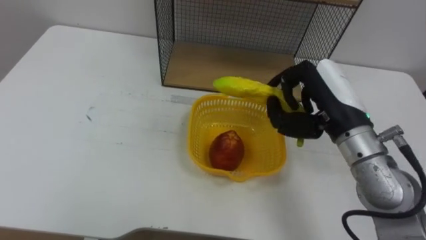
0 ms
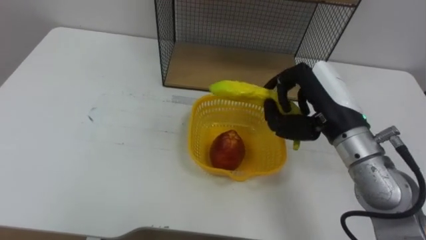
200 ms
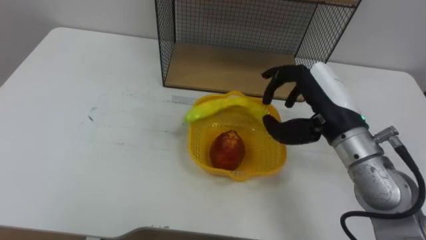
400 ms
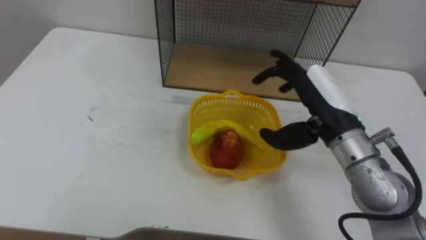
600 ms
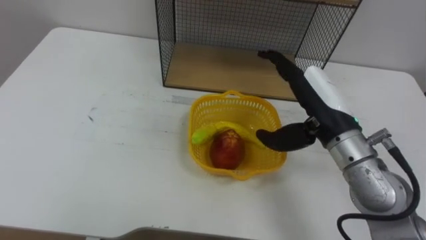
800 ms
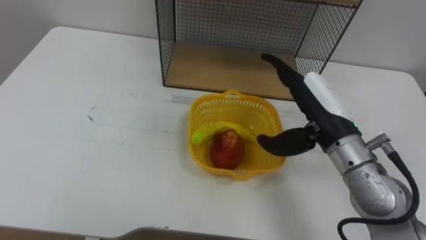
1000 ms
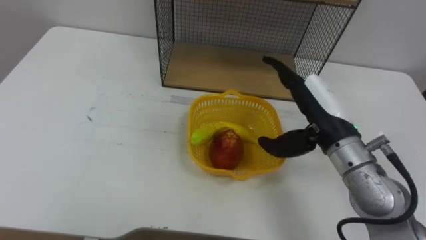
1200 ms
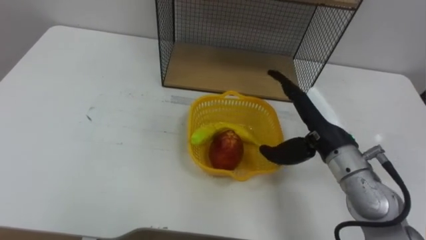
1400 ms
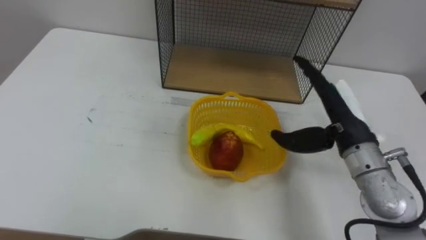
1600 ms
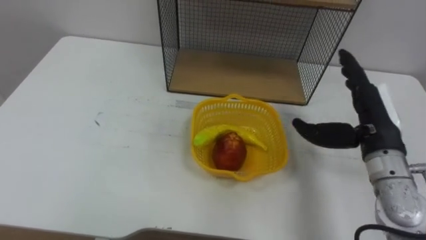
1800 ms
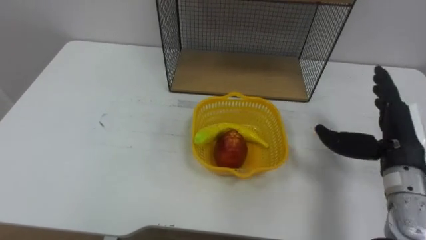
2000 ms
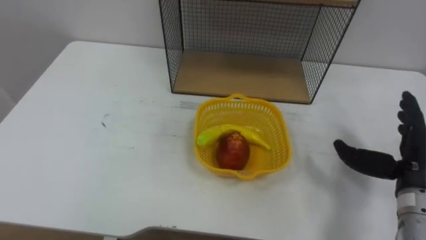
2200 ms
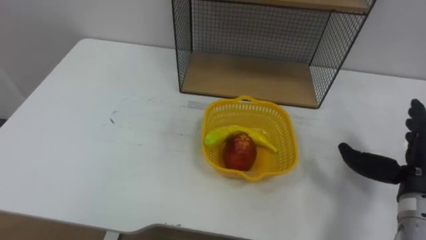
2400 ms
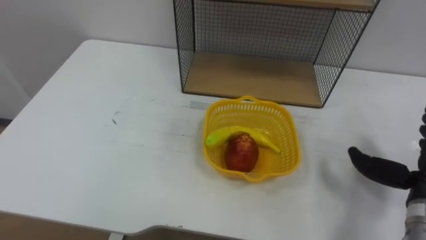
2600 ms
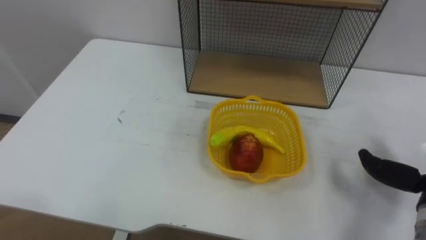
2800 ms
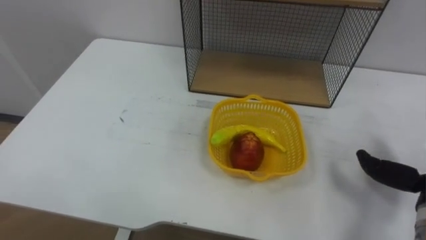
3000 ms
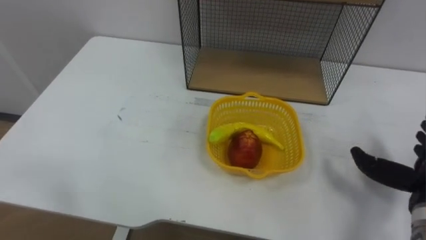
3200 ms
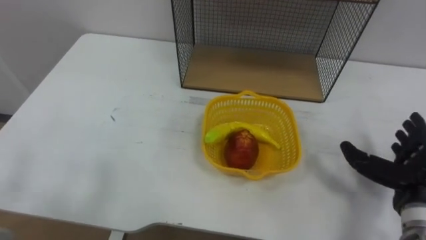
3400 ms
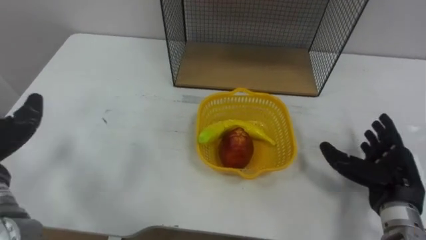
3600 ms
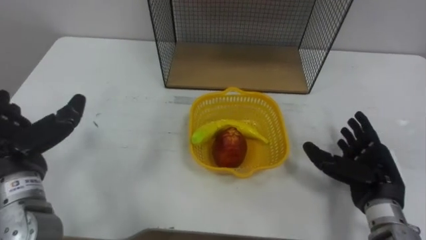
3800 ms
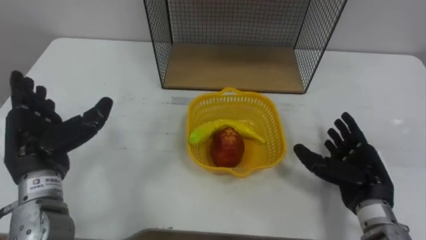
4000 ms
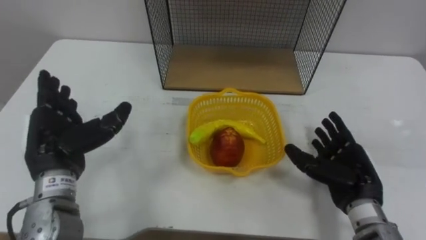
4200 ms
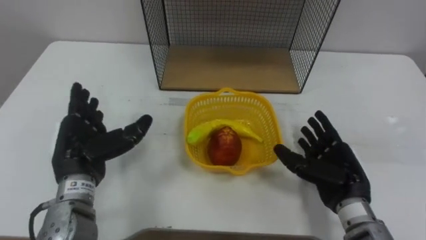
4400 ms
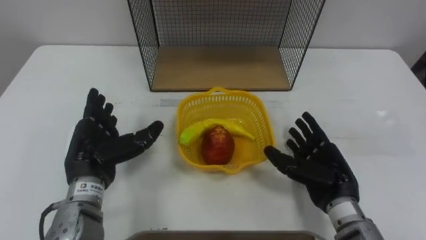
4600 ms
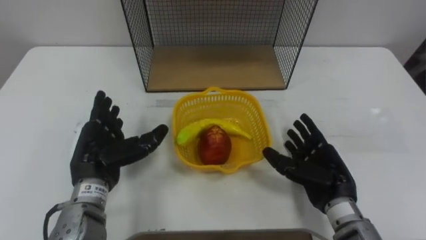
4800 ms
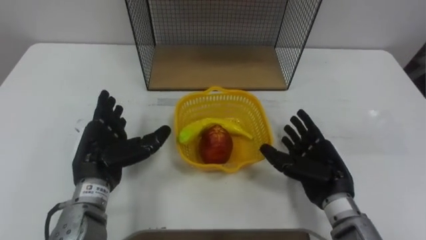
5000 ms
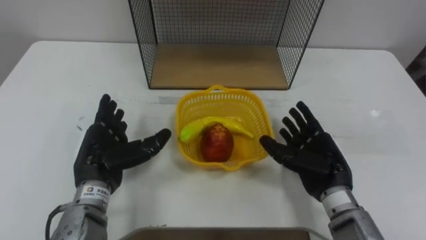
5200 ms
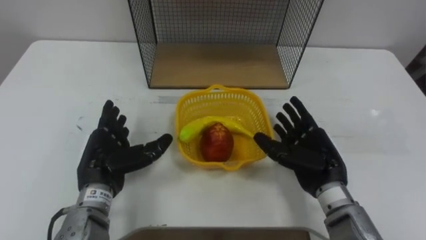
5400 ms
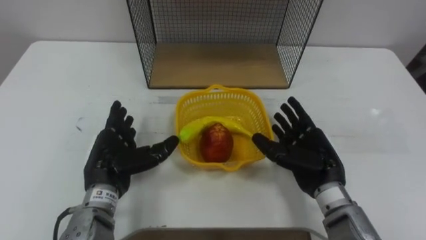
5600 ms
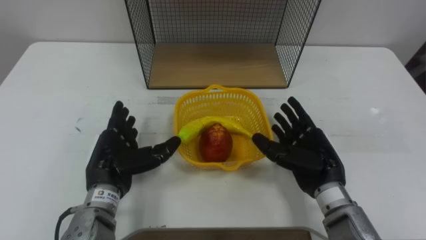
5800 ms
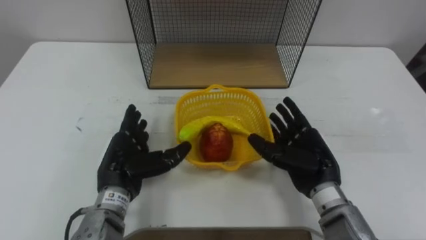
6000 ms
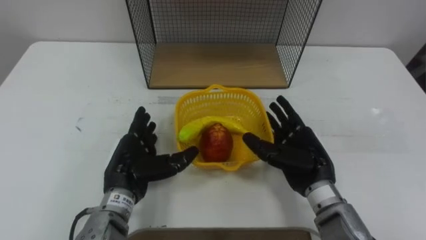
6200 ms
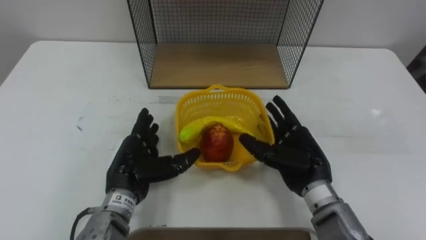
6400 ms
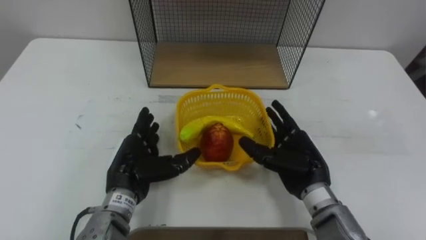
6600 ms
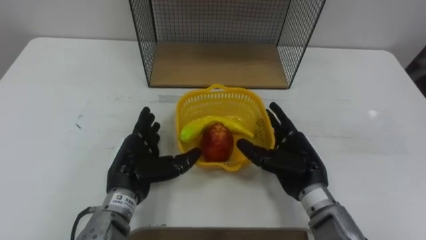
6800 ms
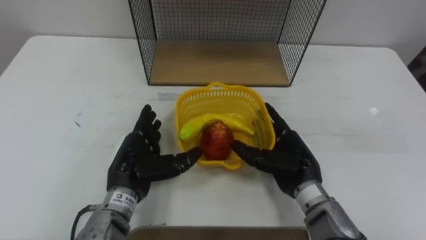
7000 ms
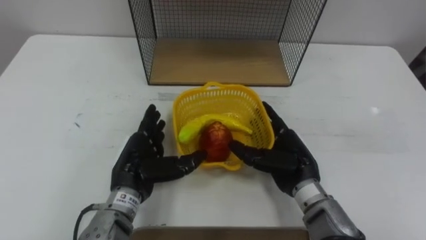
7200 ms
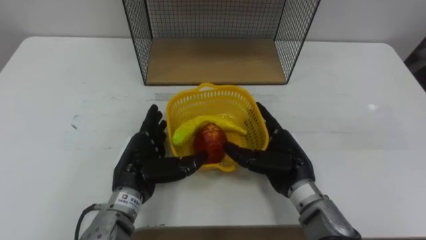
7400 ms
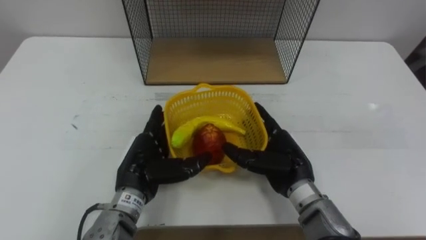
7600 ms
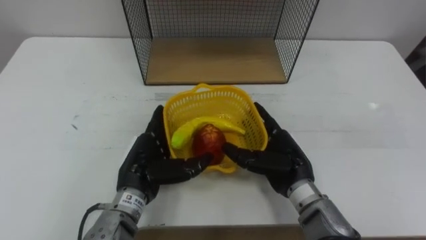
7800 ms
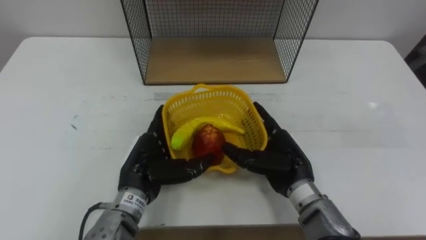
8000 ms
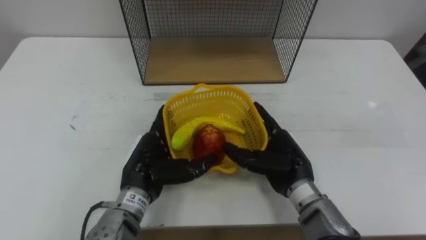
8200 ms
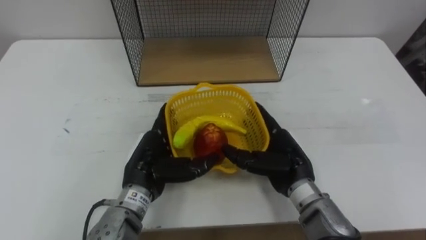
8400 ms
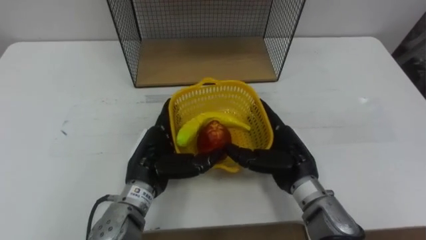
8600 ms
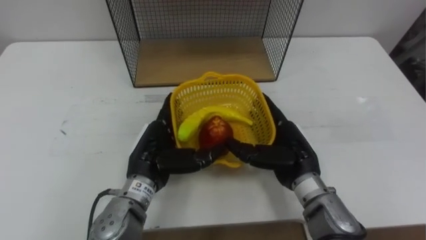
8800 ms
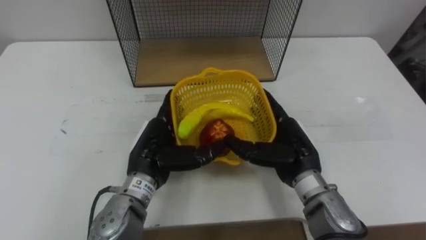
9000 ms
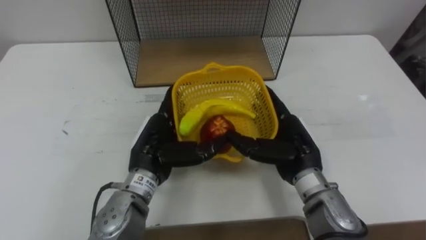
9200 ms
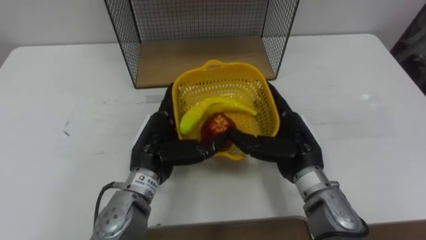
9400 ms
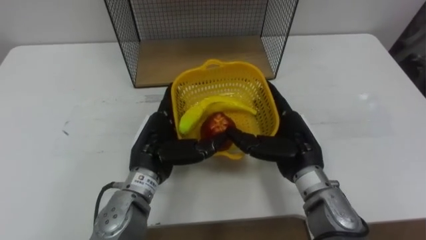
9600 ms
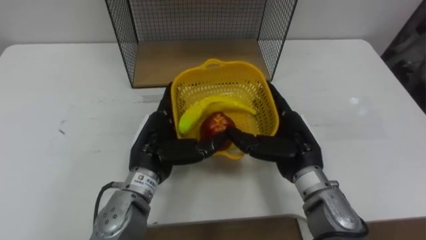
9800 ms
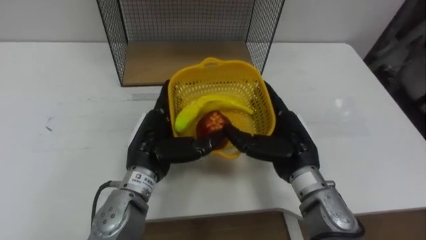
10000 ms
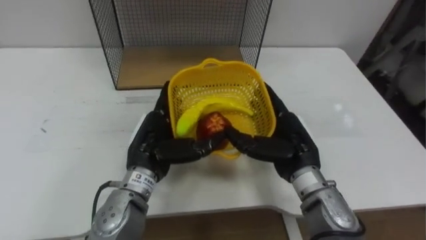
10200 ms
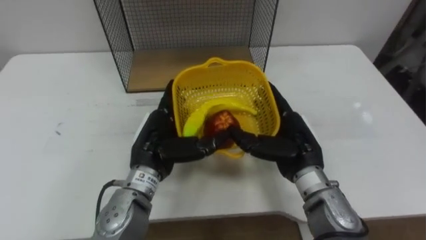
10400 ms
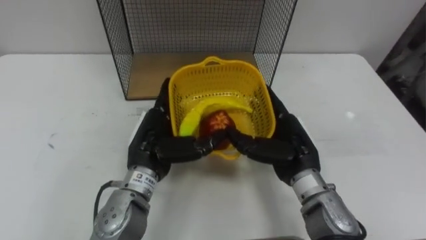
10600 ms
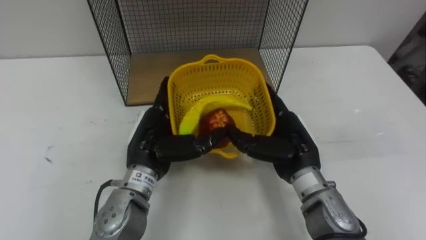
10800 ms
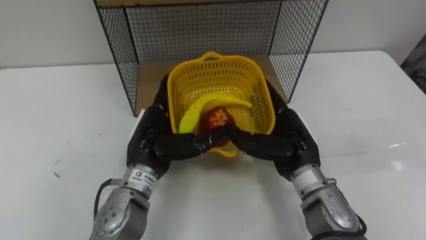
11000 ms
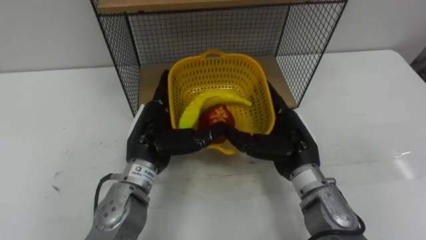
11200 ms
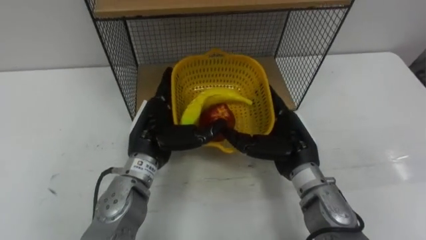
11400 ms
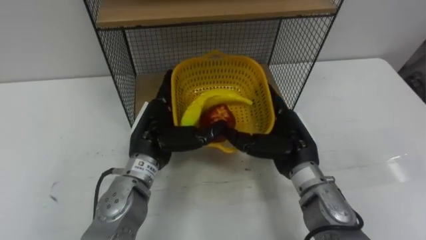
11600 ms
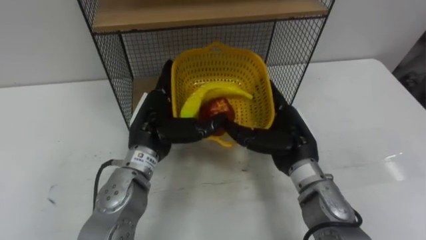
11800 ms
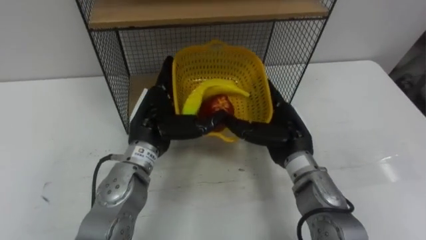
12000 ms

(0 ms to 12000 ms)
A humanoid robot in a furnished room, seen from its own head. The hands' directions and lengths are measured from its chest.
Task of the whole recording: Put the fruit on the table into the basket, then place the basket on the shelf.
0 ms - 1600 ms: The right hand opens.
4400 ms - 6000 ms: The right hand changes place by about 5 cm. Meanwhile the left hand goes roughly 5 cm to the right.

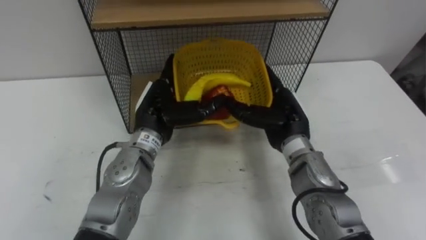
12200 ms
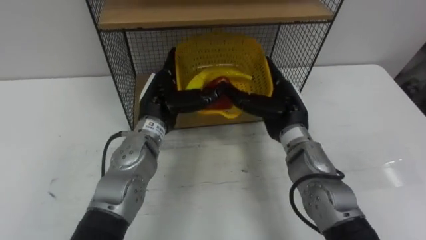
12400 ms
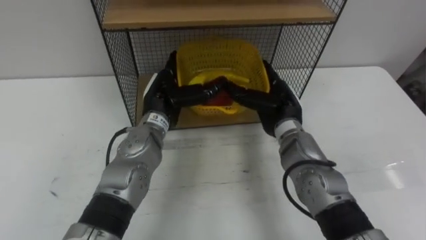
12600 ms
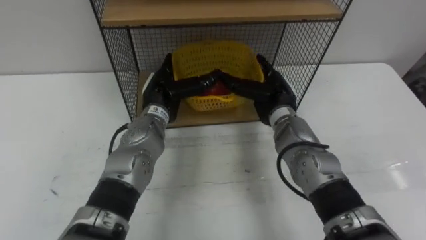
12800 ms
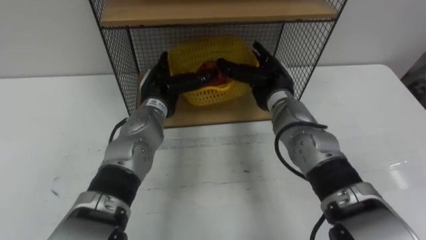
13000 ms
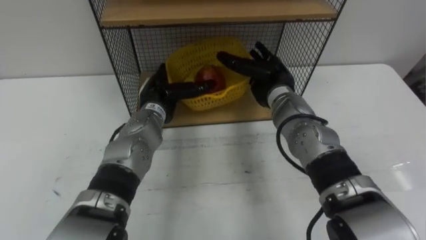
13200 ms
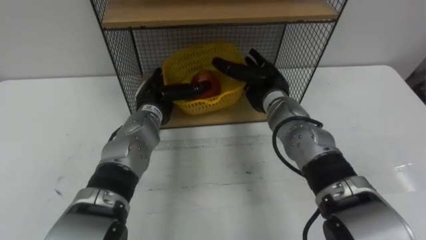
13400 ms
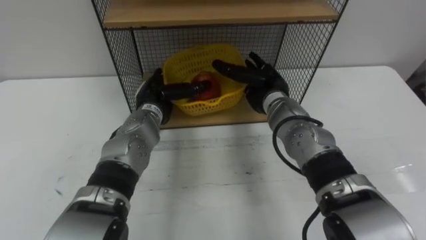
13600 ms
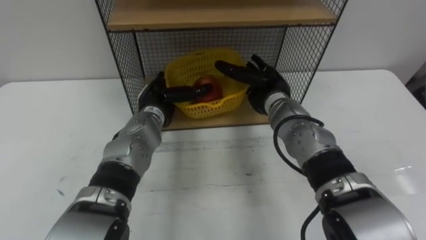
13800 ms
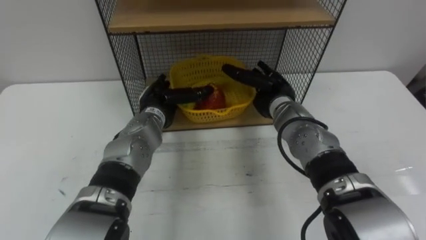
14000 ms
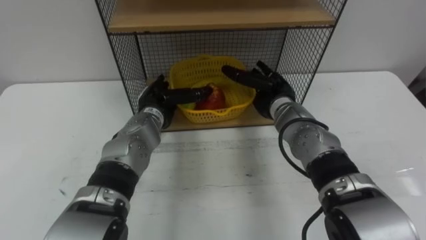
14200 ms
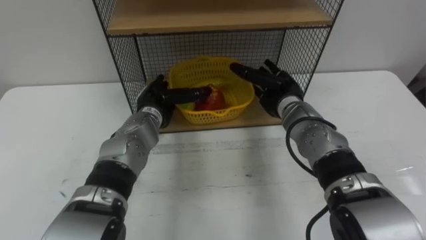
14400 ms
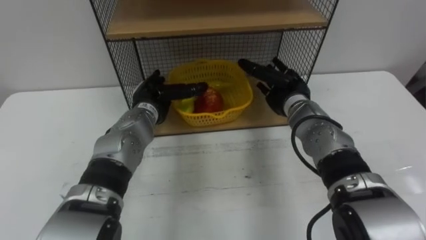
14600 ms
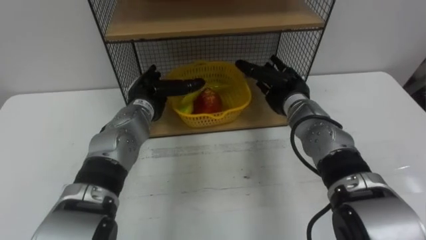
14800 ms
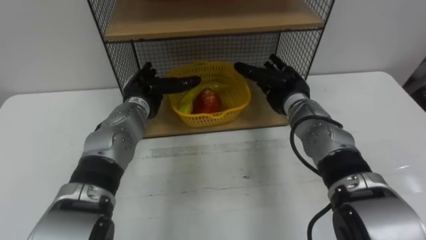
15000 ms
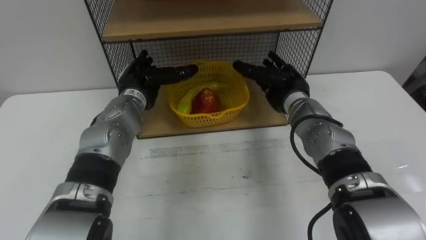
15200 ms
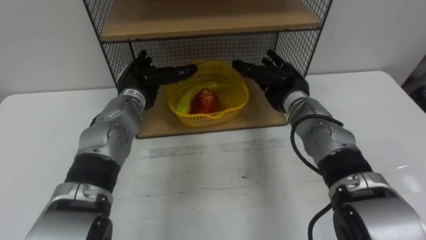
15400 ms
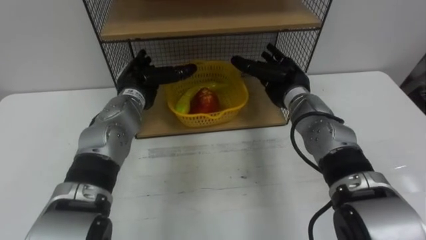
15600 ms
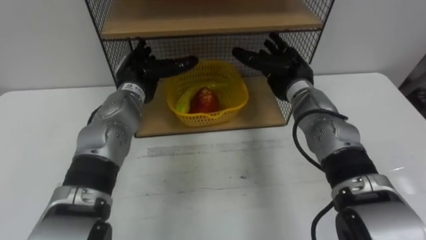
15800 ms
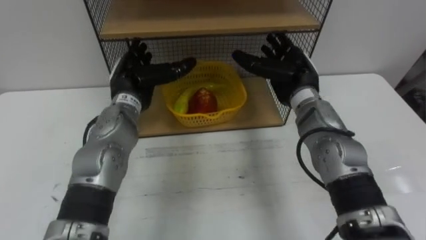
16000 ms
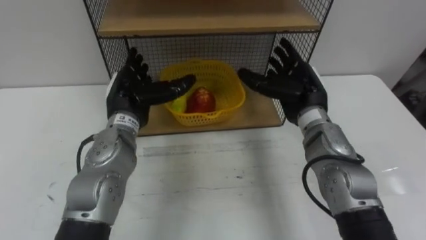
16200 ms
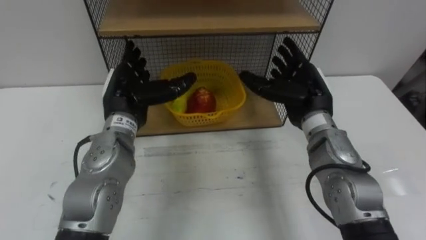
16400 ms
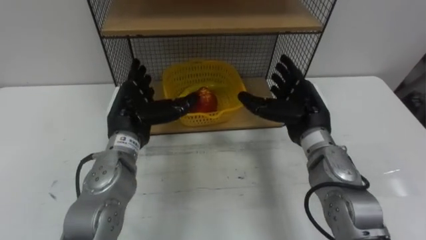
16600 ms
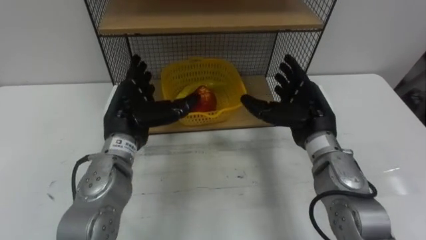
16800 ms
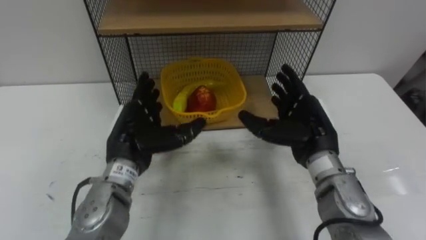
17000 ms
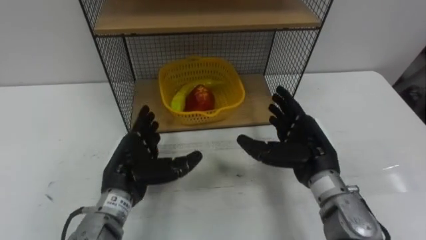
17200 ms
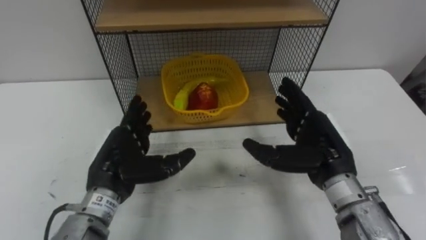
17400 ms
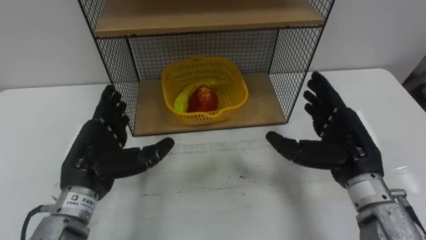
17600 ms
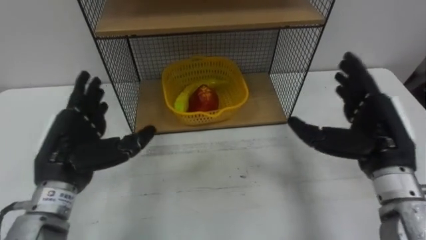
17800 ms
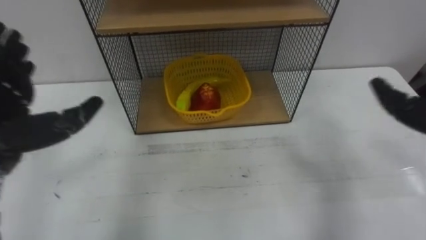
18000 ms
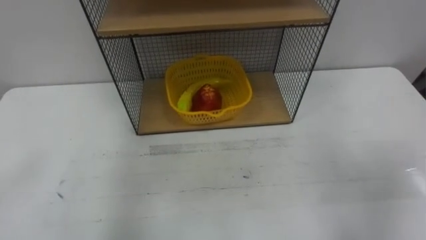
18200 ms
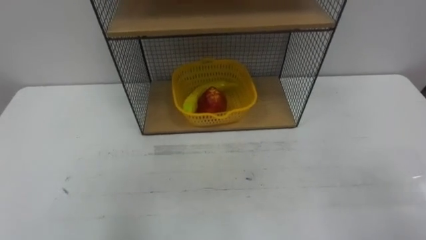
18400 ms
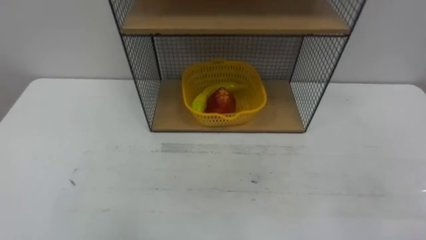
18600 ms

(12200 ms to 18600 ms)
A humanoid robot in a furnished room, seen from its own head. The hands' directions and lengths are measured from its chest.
Task of the whole recording: Put the fruit on the table into the basket, then place the basket on the shelf.
12200 ms - 13800 ms: Both hands move forward, roughly 5 cm.
13800 ms - 15400 ms: The left hand shifts by some 5 cm.
15400 ms - 17000 ms: The two hands go some 10 cm backward.
